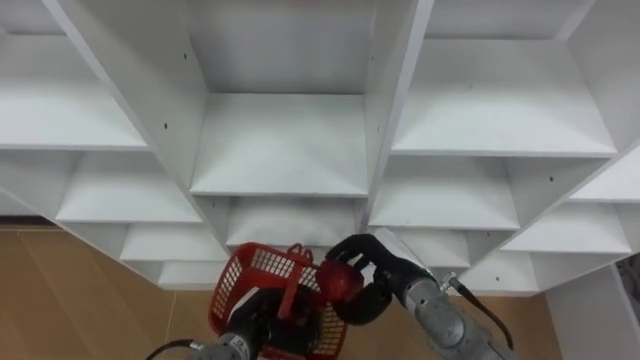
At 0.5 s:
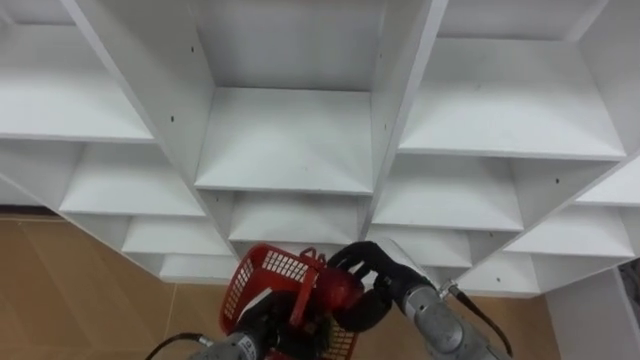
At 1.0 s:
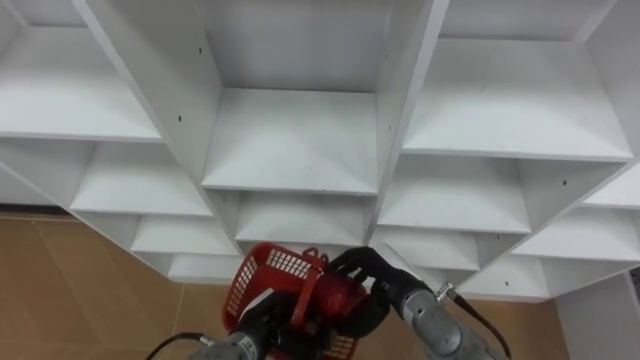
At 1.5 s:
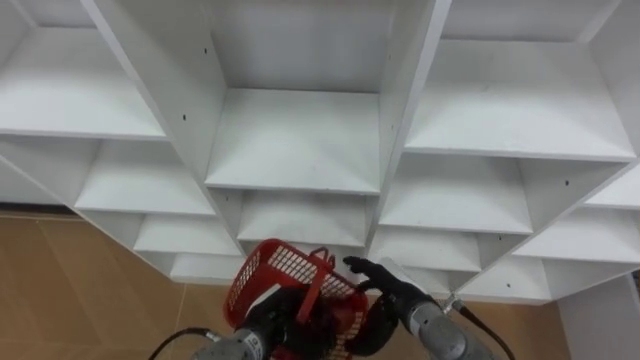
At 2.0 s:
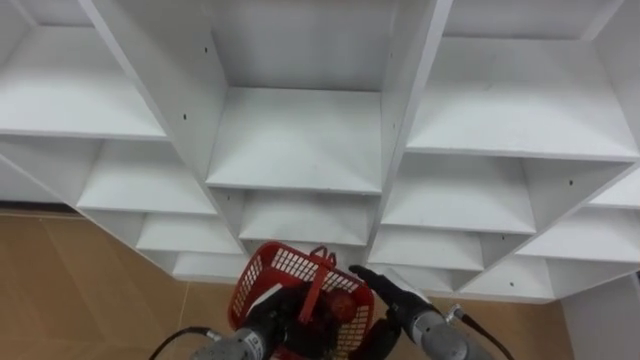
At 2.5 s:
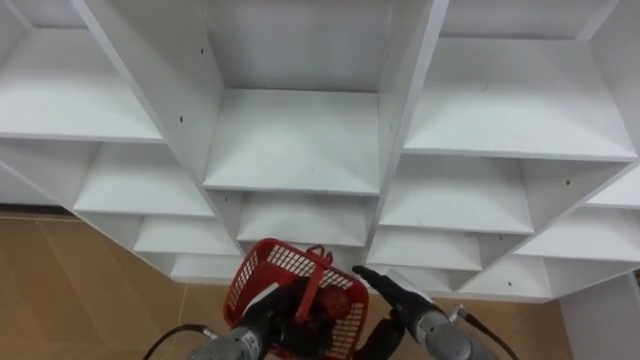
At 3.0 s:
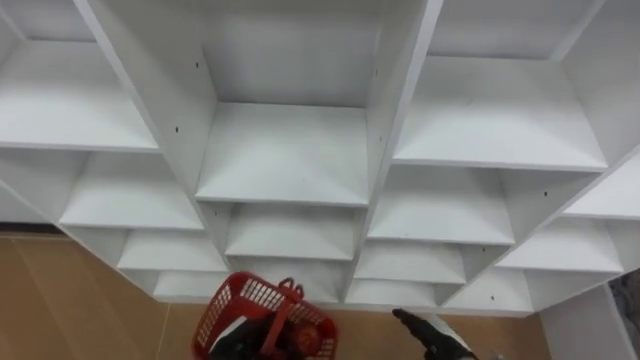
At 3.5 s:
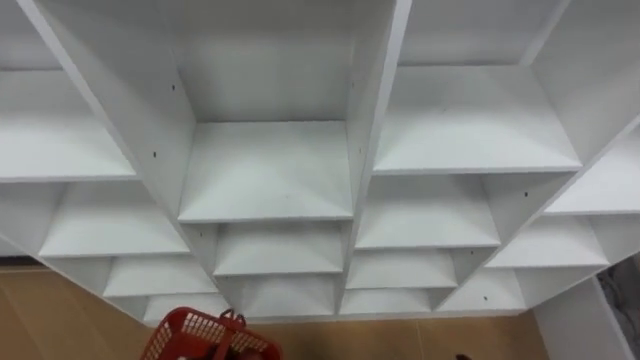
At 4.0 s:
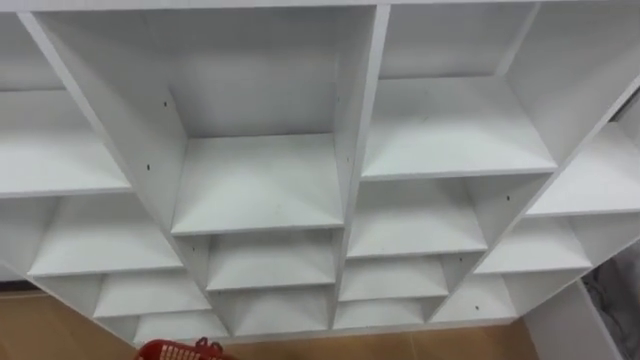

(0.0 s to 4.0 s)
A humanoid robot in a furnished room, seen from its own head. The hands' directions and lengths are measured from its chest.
Task of the whole recording: Hold the basket and collect the fruits from 3 different cells of the closet into it.
0.0 s - 2.0 s: The right hand goes roughly 5 cm downward, and opens its fingers.

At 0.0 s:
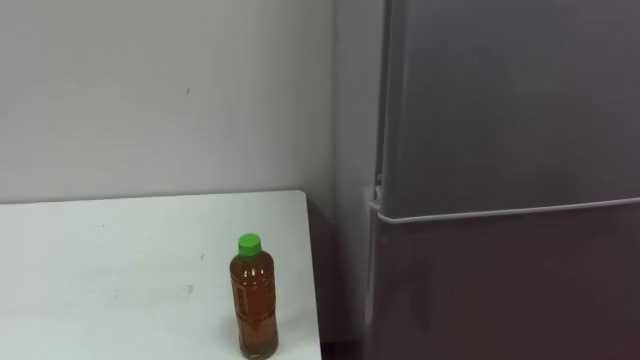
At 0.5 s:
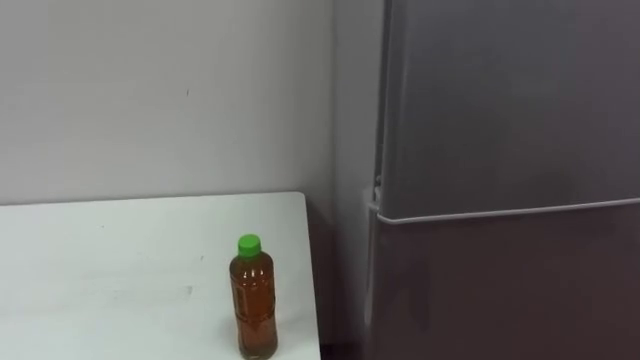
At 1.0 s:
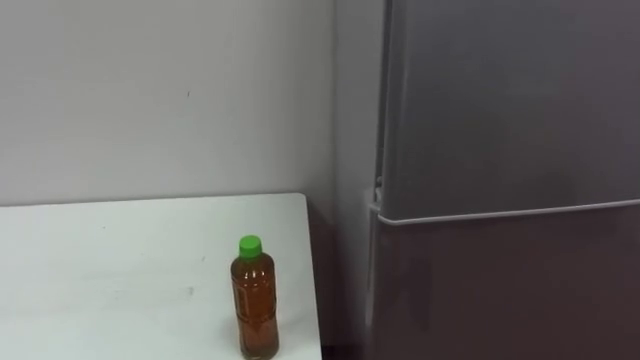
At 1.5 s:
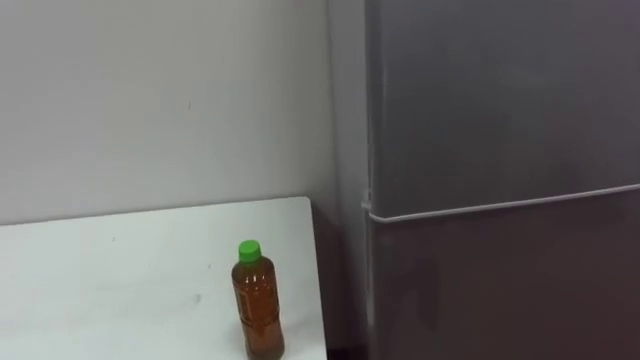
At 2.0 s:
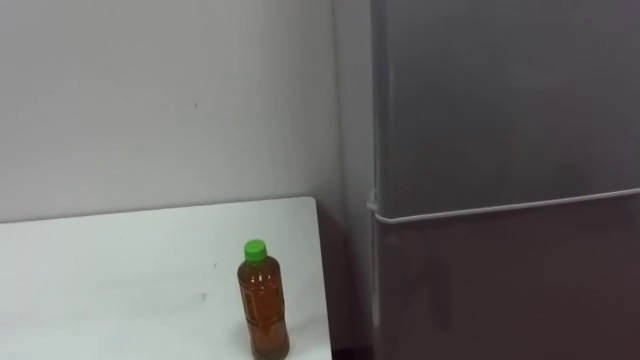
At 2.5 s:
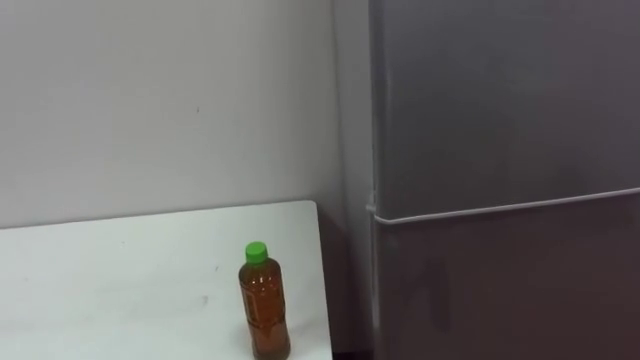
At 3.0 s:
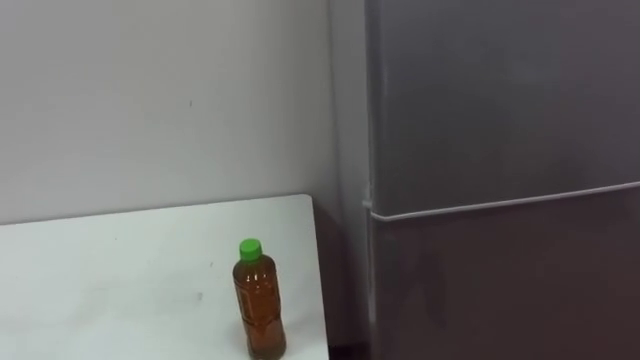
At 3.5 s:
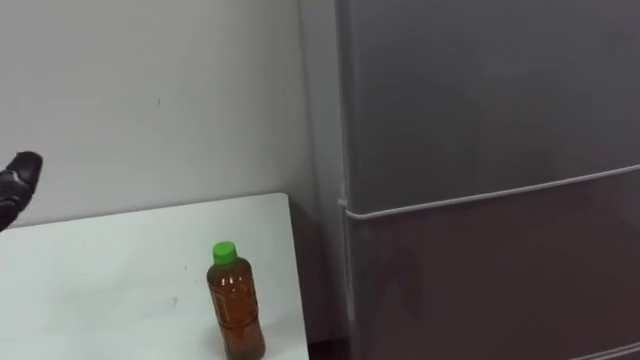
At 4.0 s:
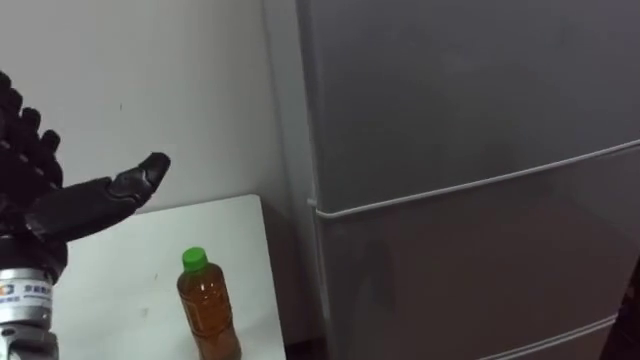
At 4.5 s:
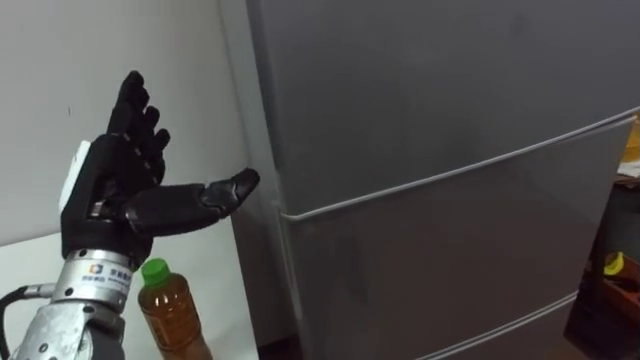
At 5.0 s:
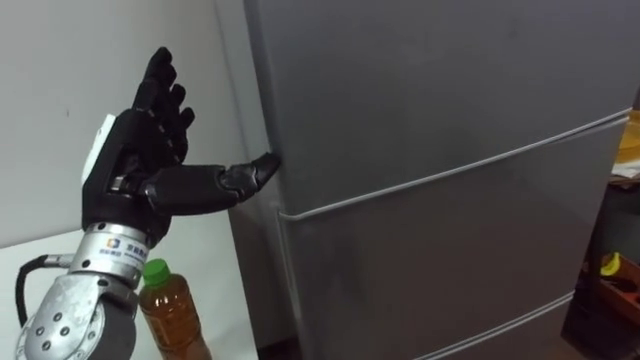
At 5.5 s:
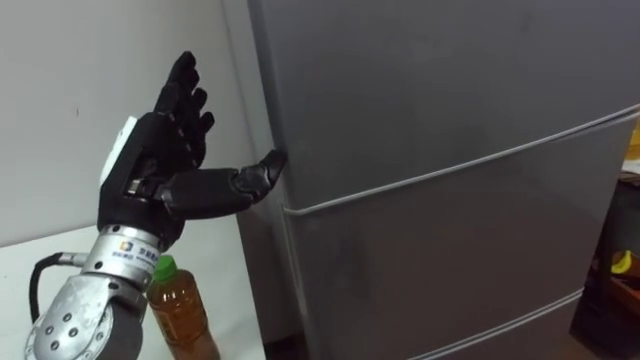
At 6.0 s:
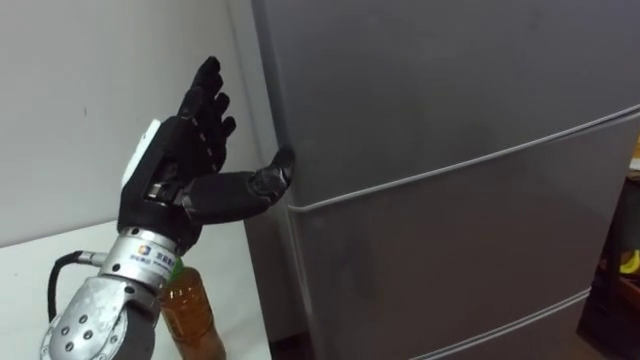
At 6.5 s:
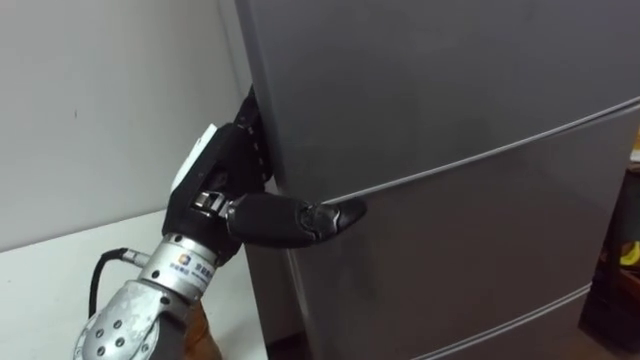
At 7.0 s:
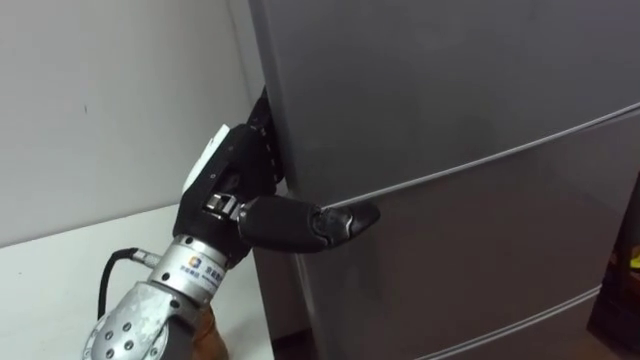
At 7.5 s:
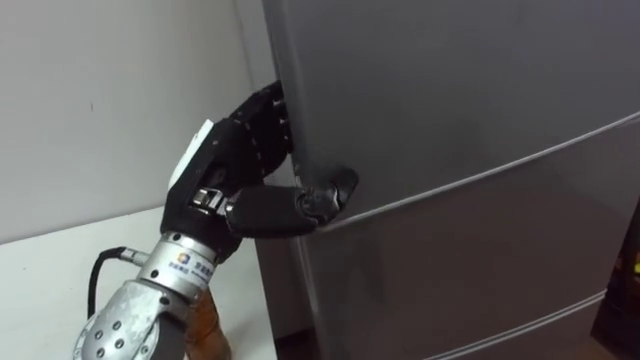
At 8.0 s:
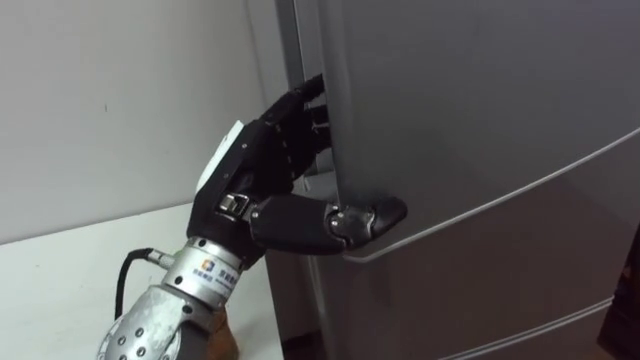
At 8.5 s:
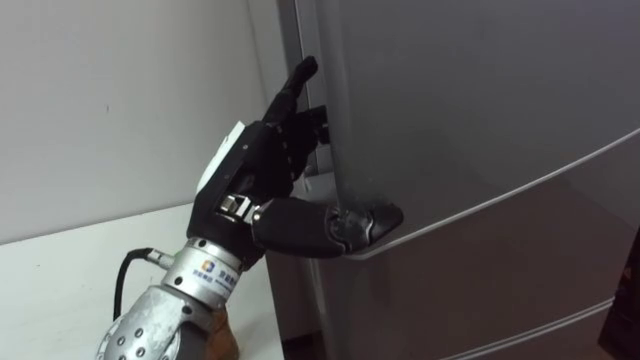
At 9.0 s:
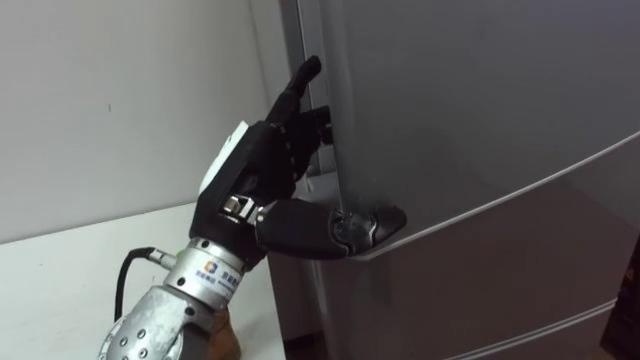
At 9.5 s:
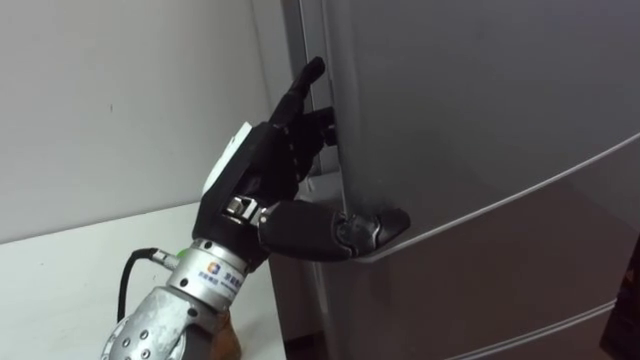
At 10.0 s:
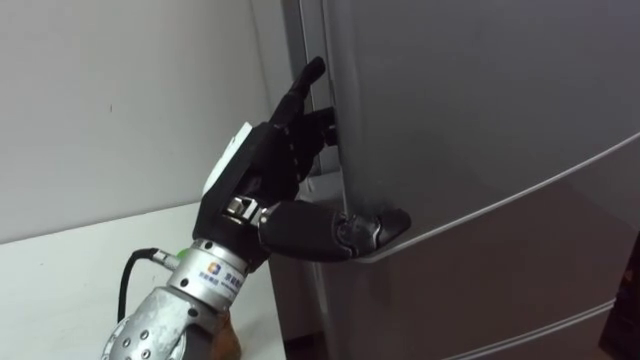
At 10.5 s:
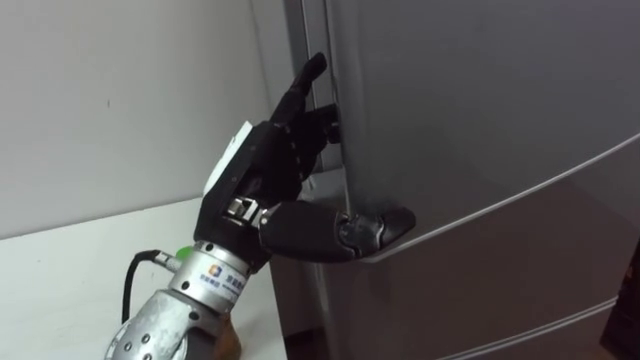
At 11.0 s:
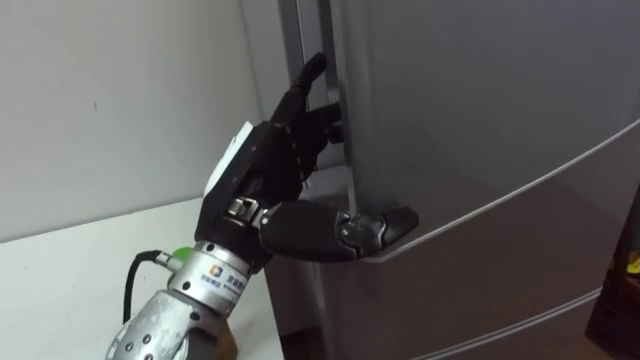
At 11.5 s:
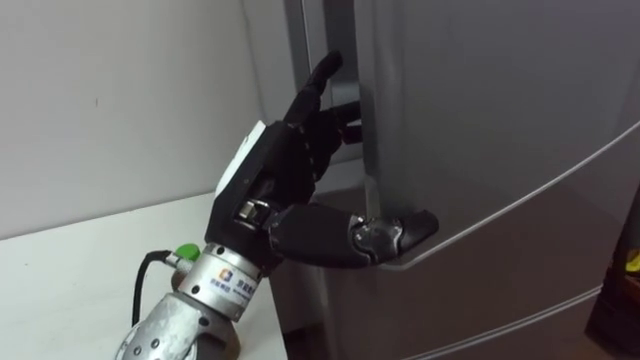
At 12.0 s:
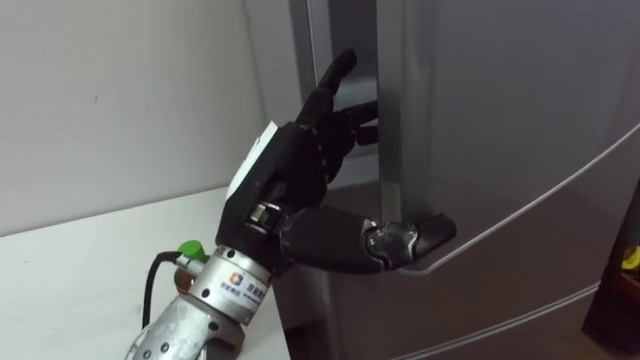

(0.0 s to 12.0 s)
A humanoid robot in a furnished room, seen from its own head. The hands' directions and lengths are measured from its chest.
Task of the whole recording: Open the upper refrigerator door, put the drink from the table into the refrigerator, and then close the refrigerator door.
4.0 s - 6.0 s: The left hand shifts some 10 cm to the right.
6.0 s - 8.0 s: The left hand moves to the right, some 5 cm.

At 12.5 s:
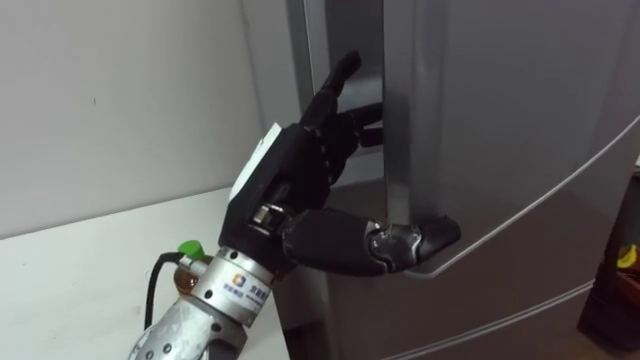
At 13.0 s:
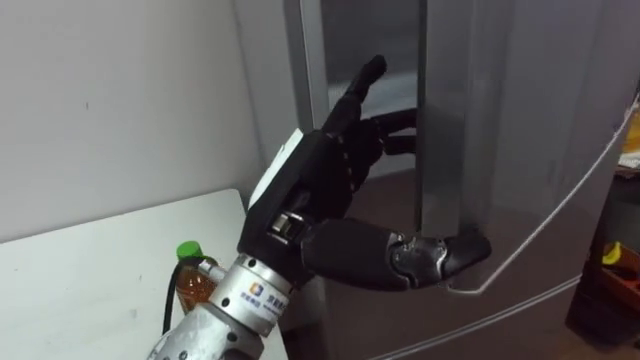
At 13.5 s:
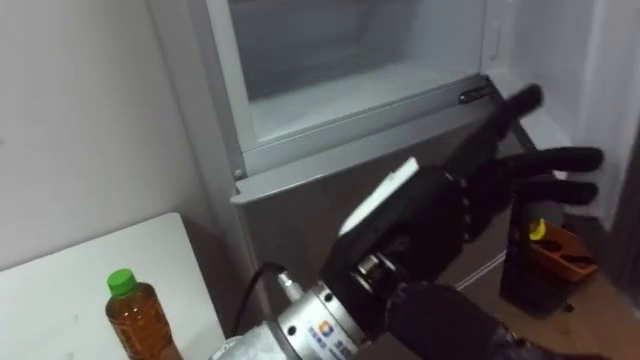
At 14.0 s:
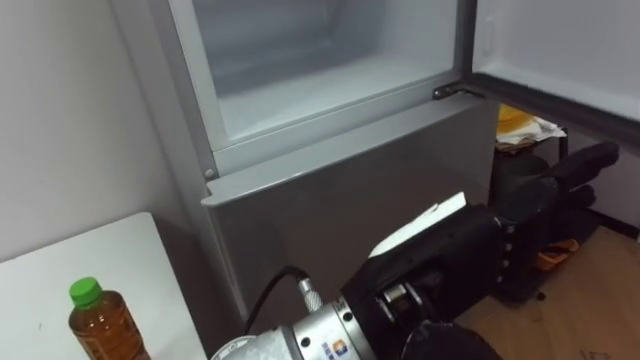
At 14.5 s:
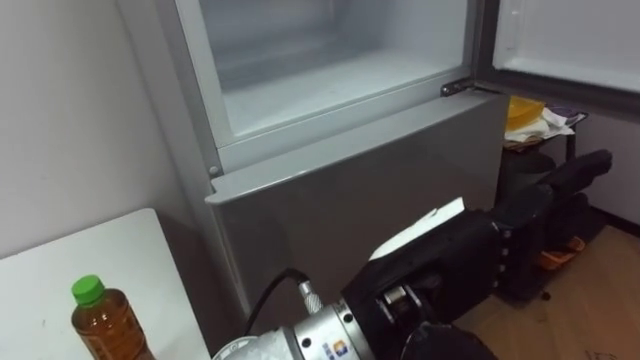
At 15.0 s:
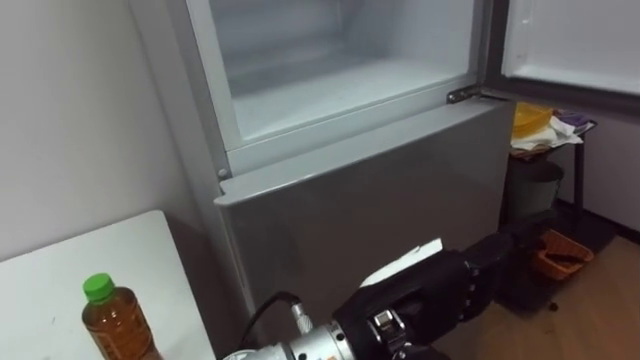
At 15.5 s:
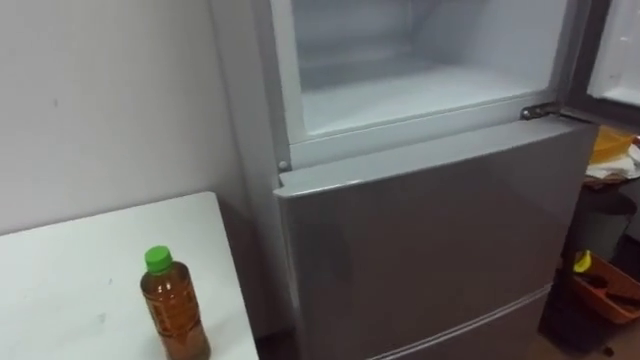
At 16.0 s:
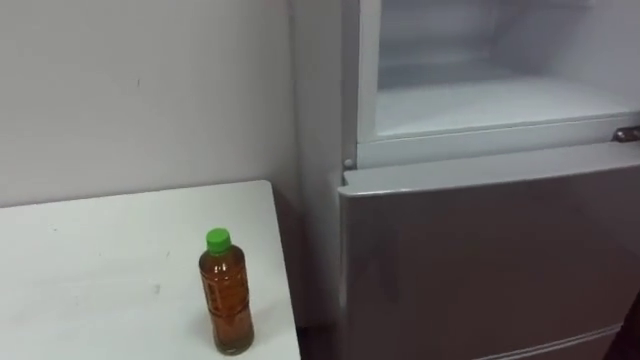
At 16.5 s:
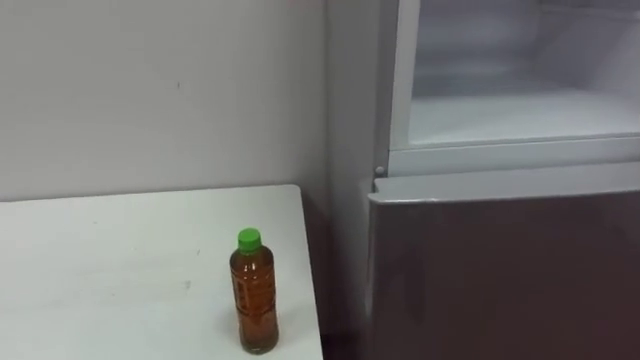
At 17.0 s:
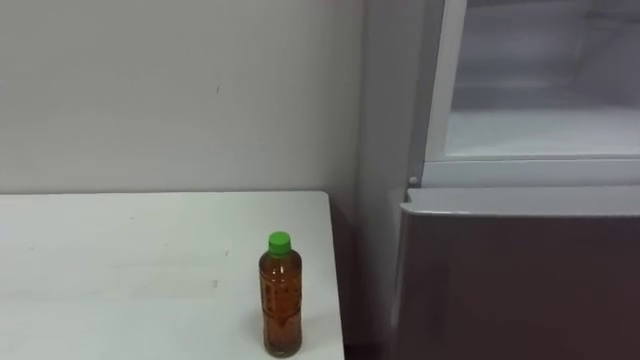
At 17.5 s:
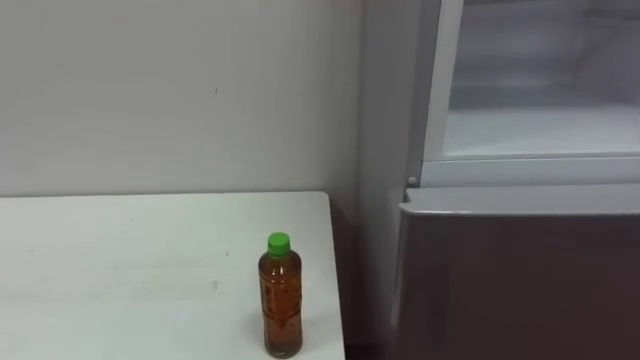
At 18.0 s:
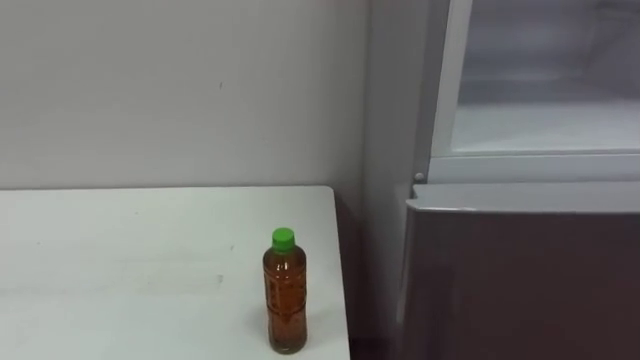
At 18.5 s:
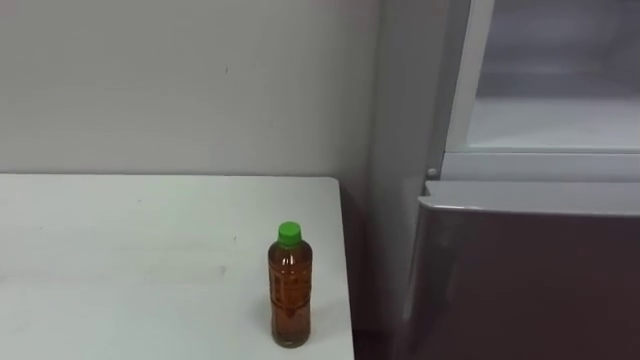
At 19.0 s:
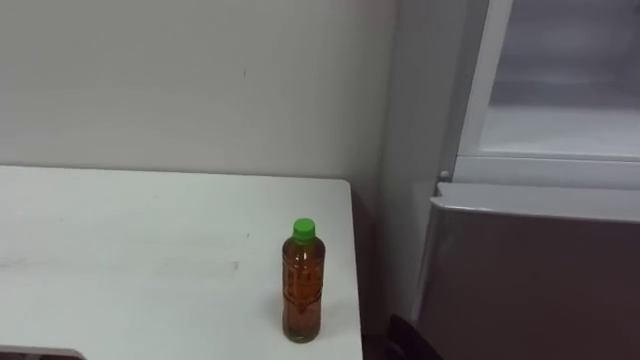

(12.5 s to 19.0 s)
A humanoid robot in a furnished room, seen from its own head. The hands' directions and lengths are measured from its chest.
Task of the whole recording: Open the upper refrigerator door, put the drink from the table into the refrigerator, and then close the refrigerator door.
12.5 s - 14.5 s: The left hand goes roughly 10 cm to the right and backward.
